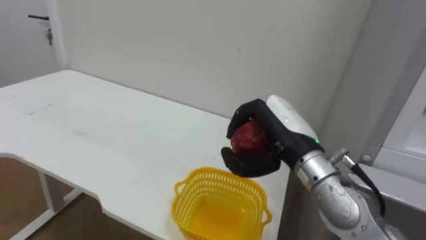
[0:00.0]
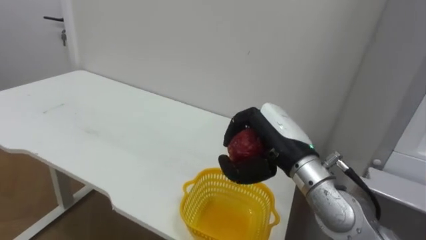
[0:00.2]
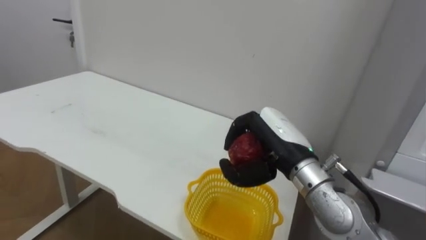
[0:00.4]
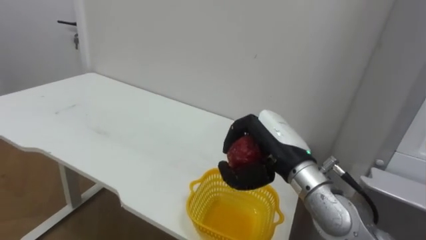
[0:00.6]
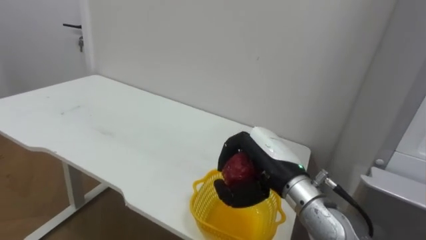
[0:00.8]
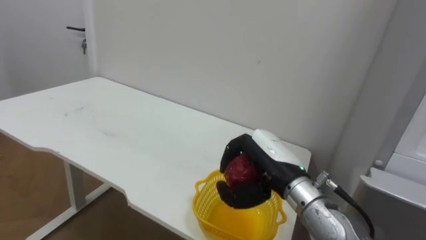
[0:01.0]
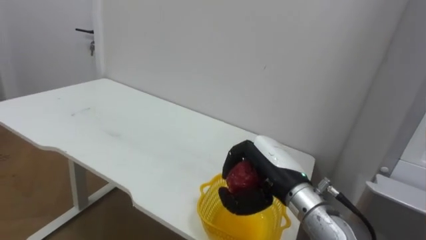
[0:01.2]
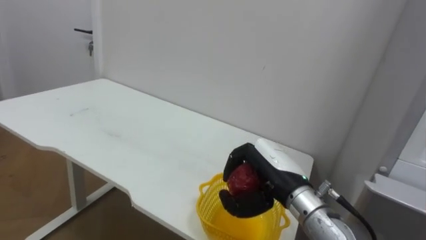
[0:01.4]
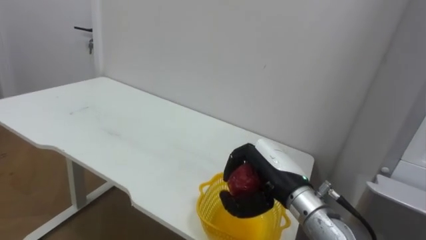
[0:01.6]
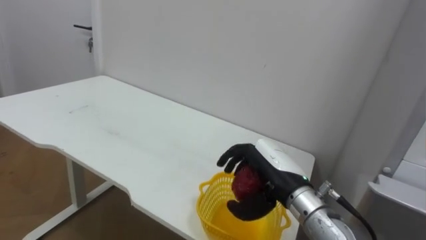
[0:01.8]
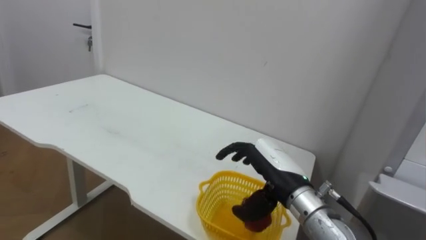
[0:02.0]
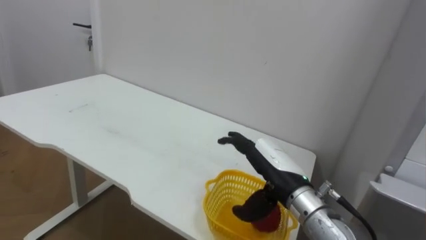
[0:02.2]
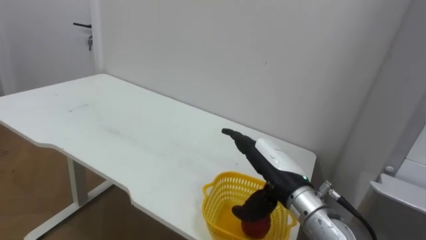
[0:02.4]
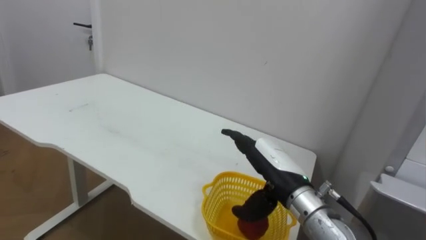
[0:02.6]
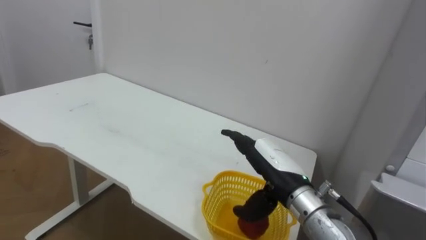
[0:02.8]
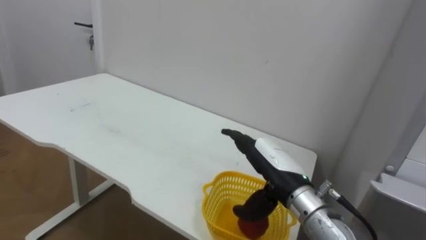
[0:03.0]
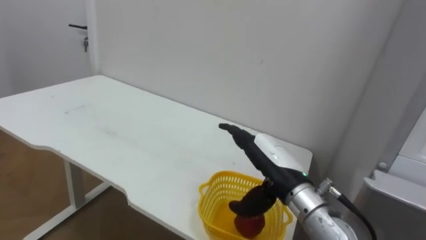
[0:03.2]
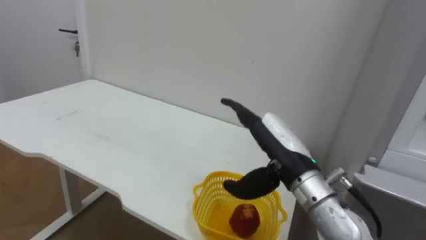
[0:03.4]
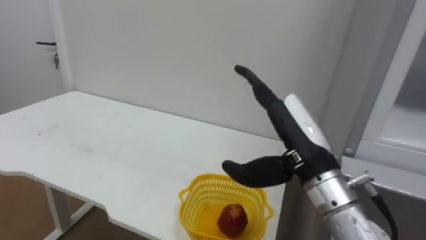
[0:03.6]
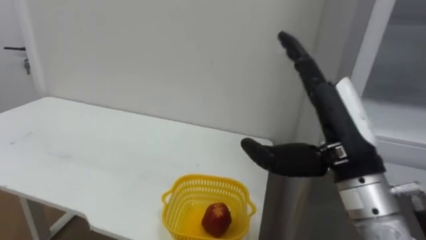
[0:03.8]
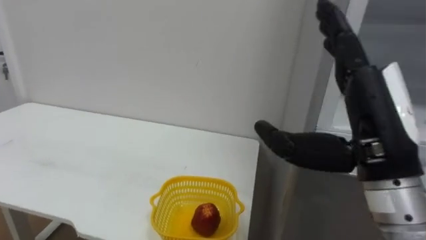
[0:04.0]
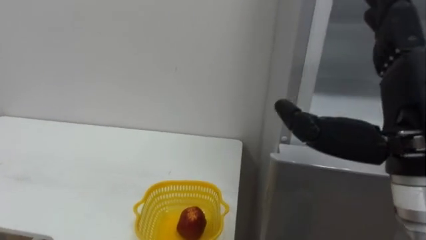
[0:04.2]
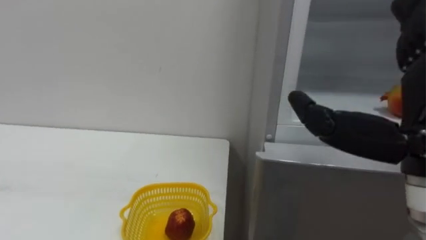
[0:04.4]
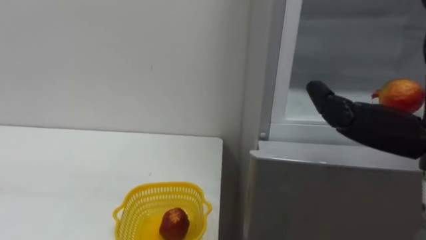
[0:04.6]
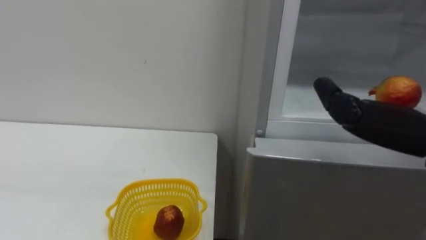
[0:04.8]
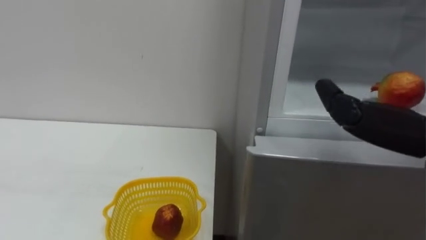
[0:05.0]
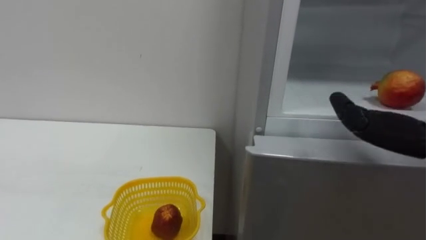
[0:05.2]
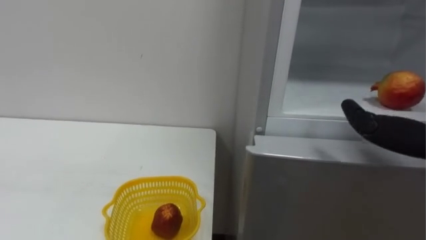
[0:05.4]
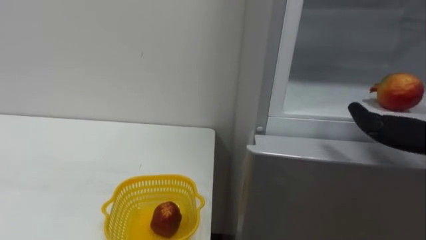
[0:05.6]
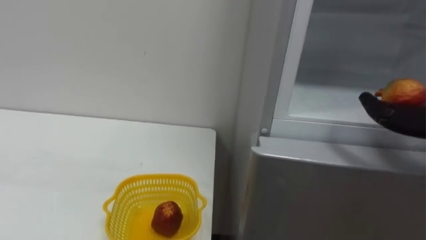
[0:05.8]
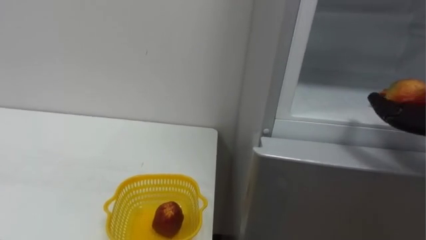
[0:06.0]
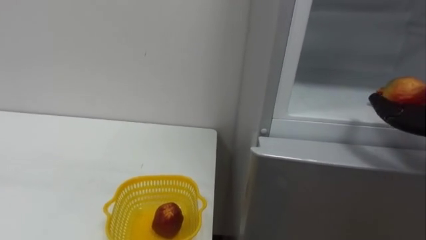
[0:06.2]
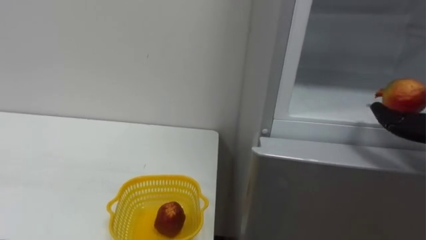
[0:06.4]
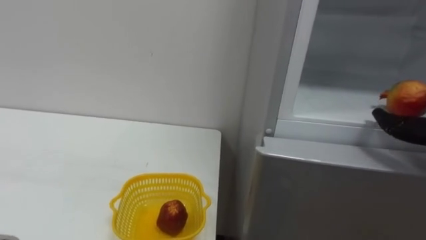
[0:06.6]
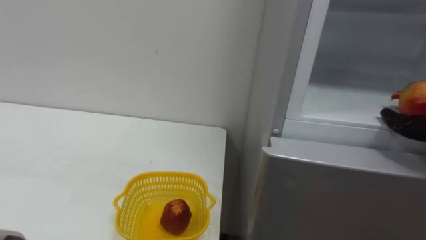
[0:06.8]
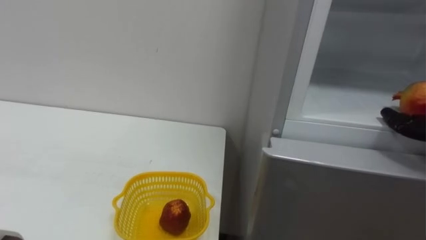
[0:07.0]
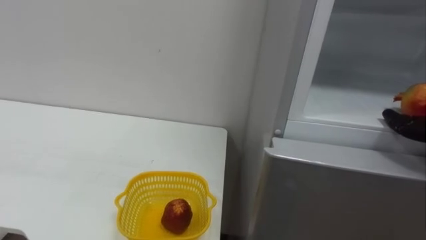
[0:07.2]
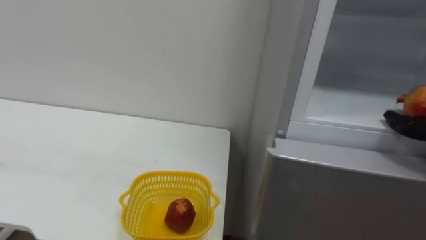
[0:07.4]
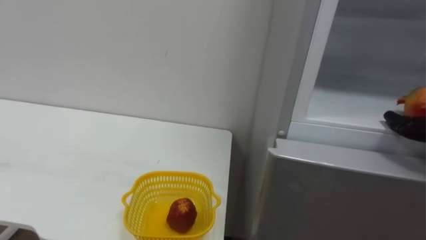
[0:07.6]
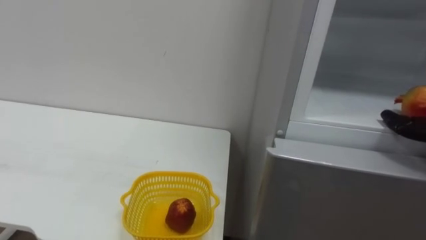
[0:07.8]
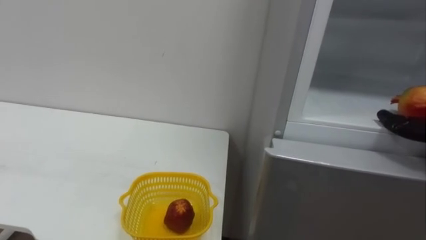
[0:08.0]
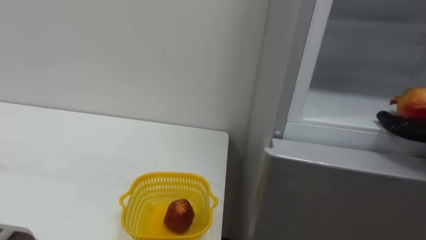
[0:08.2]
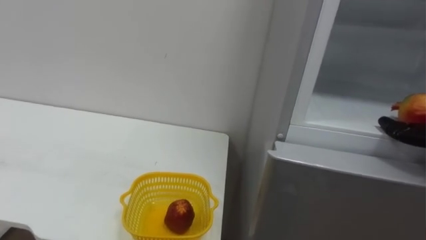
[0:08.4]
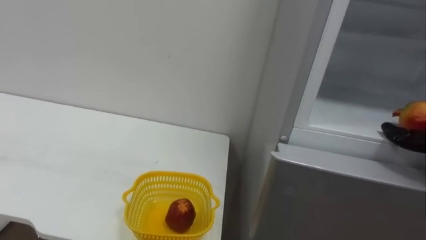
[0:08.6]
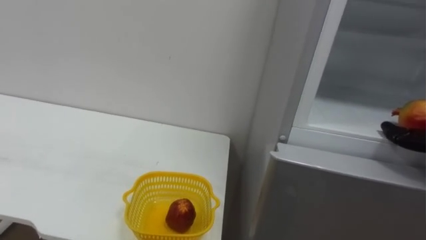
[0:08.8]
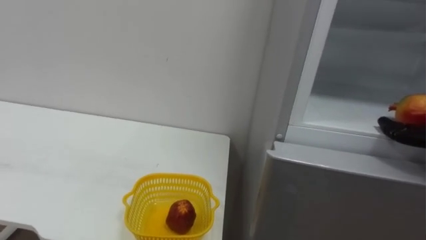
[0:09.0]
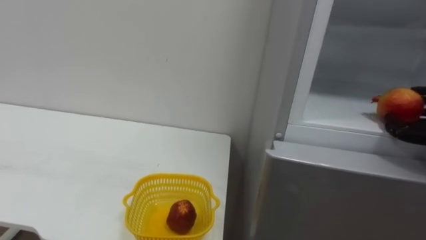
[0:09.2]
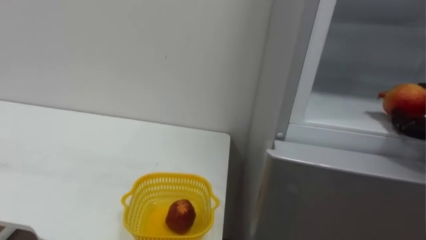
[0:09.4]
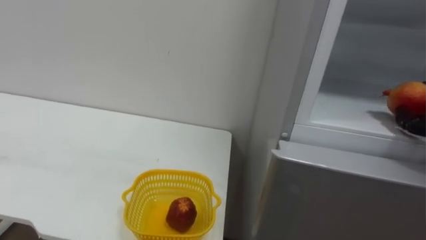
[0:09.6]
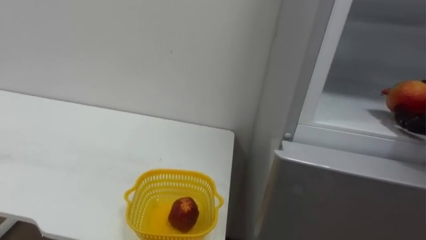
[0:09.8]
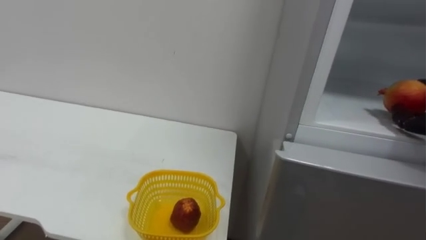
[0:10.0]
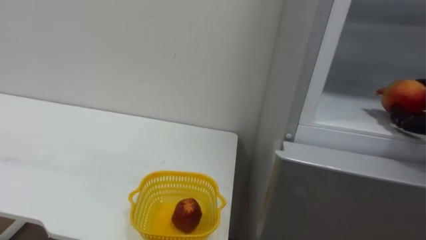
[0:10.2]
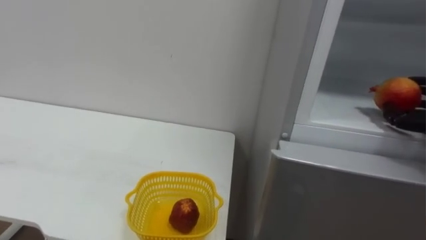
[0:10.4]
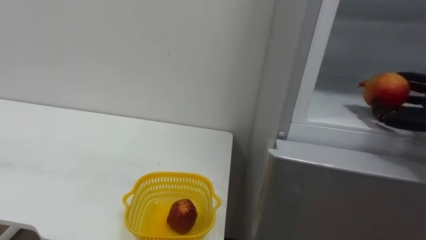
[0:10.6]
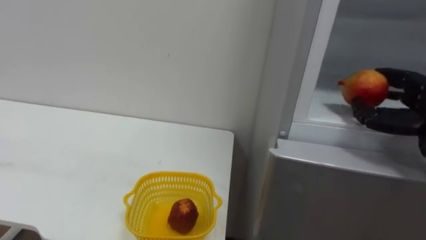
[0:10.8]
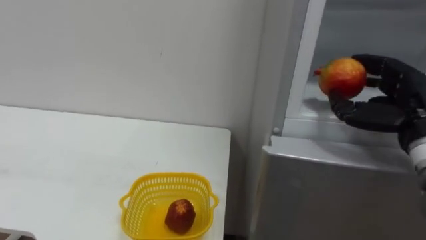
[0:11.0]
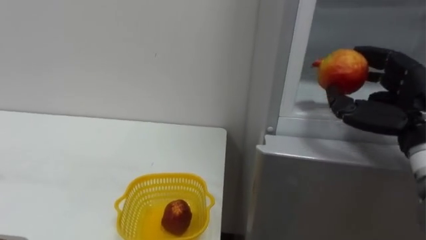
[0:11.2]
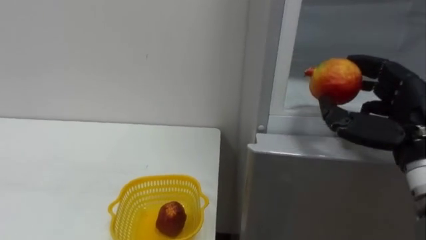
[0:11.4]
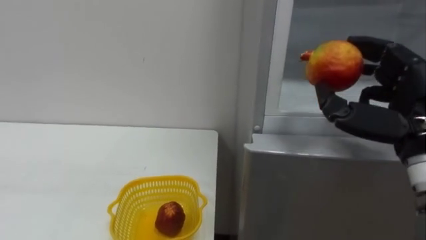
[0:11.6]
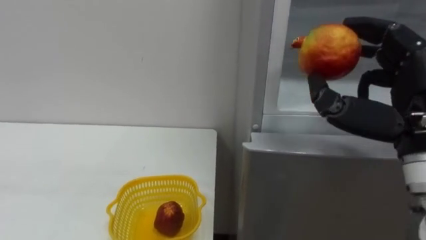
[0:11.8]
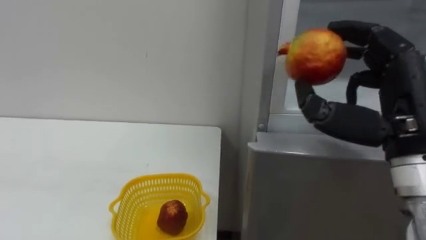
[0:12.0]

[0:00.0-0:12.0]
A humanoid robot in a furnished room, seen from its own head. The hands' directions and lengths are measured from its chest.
Task of the whole recording: Open the refrigerator door, take out the apple and the pomegranate, place them in the fruit basket on the left, and close the refrigerator door.
0:00.0 to 0:01.6: The right hand is displaced downward by some 10 cm.
0:01.6 to 0:03.0: The right hand opens its fingers.
0:03.0 to 0:04.4: The right hand heads upward, backward and to the right, covering approximately 25 cm.

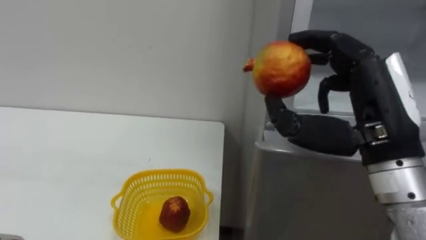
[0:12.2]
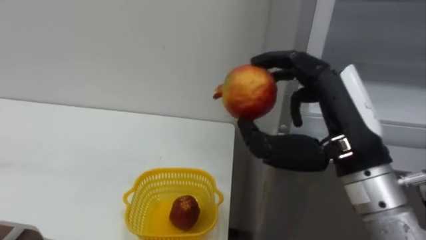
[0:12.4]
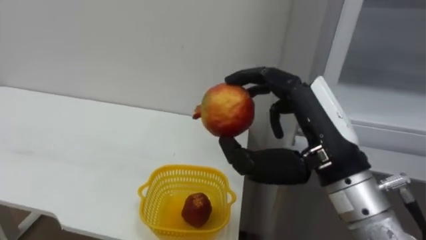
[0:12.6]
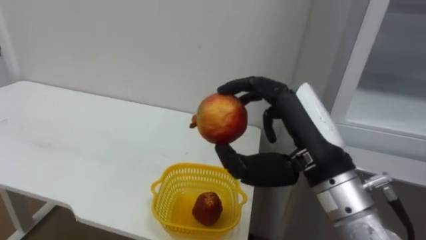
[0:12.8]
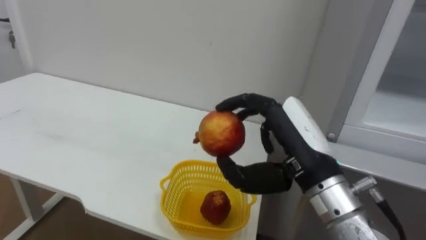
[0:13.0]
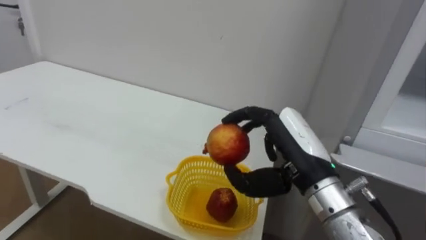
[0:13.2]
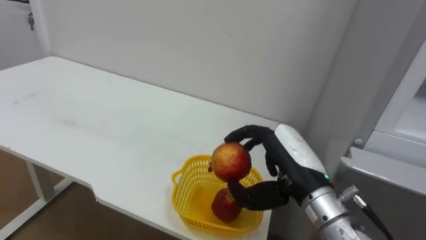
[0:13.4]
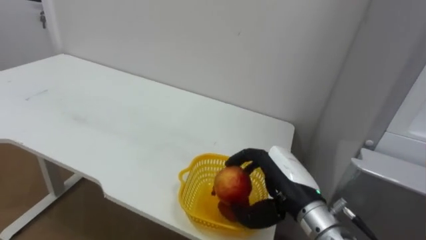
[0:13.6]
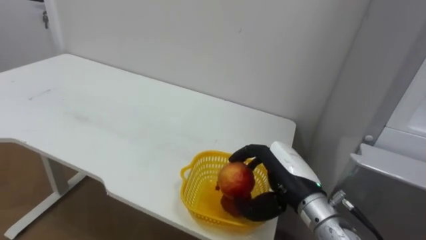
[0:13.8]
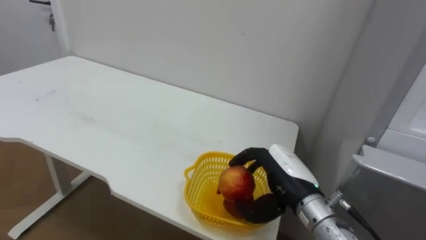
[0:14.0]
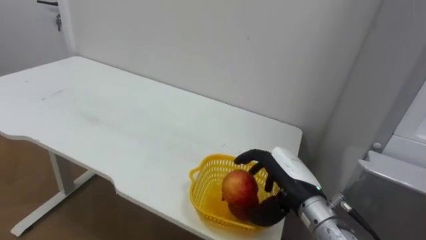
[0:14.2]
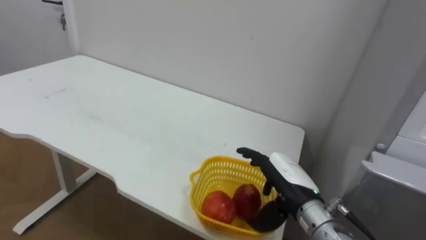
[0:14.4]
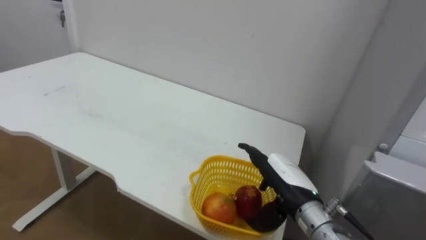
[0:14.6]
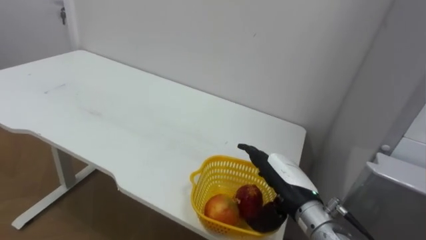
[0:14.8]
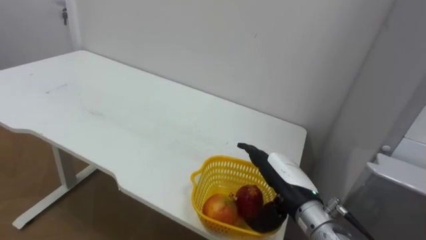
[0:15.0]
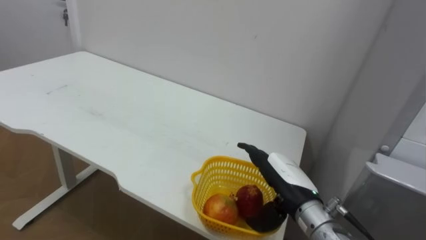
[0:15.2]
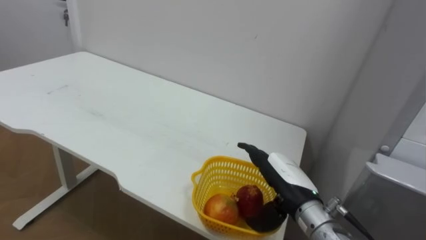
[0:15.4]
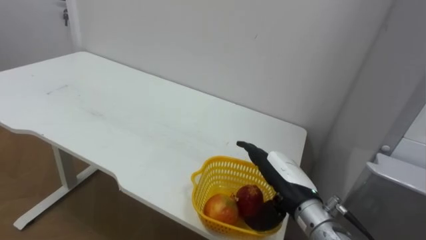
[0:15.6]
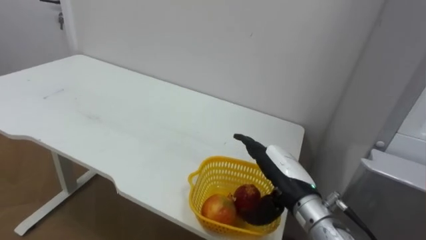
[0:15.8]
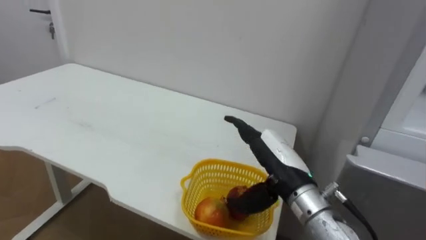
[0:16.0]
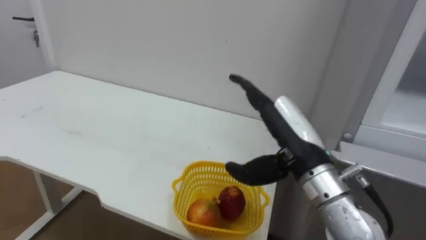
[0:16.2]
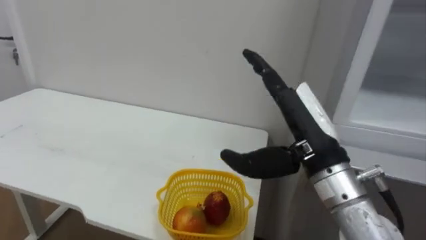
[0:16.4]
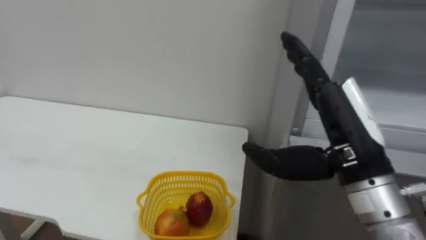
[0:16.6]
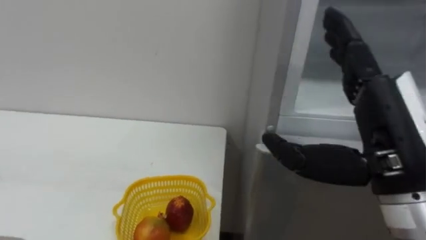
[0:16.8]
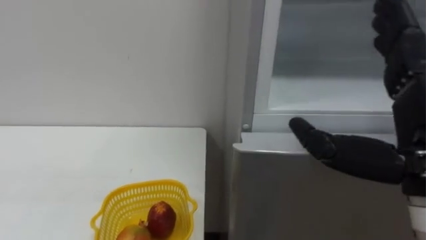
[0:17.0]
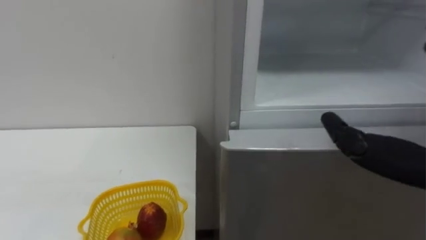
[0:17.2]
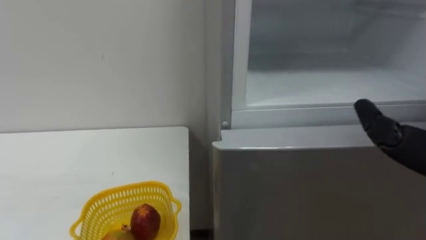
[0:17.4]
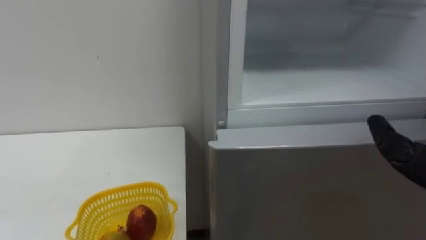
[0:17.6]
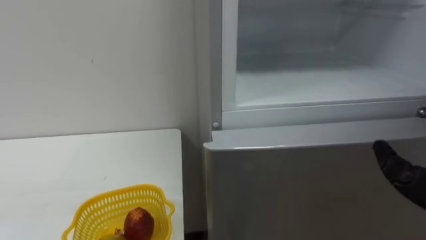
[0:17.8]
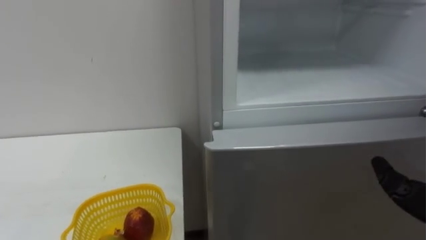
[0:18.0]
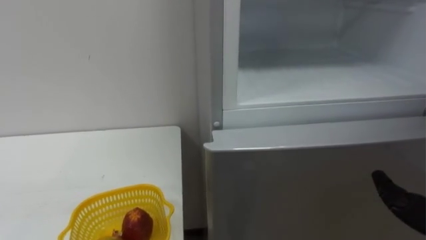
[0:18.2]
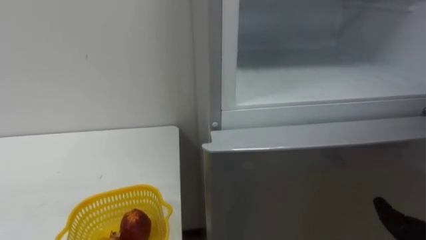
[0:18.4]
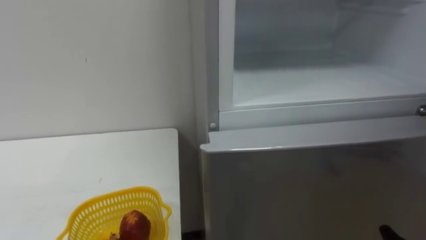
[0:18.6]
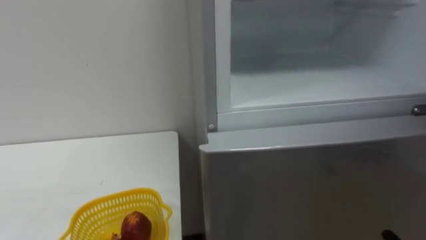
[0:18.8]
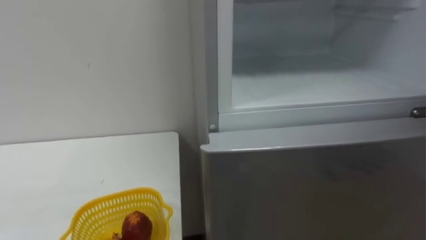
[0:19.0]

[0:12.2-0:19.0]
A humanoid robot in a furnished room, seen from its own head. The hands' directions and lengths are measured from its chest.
Task of the whole recording: Open the refrigerator door, take out the apple and the pomegranate, place them in the fruit basket on the left, and close the refrigerator door.
0:12.2 to 0:13.6: The right hand is displaced downward and to the left by roughly 15 cm.
0:13.6 to 0:15.0: The right hand opens its fingers.
0:15.0 to 0:16.2: The right hand travels upward by some 10 cm.
